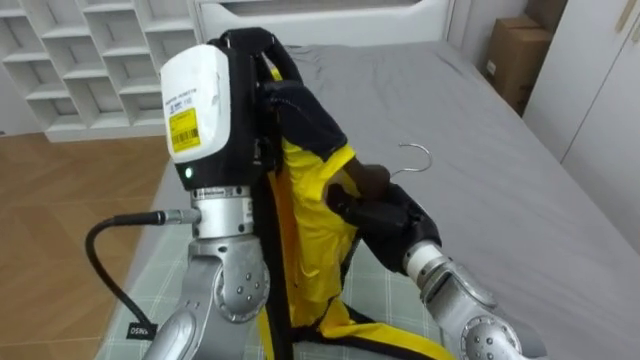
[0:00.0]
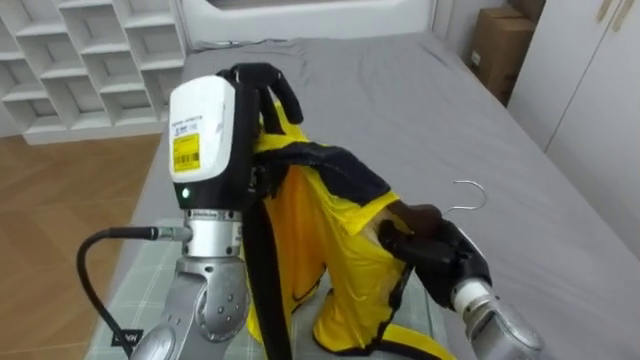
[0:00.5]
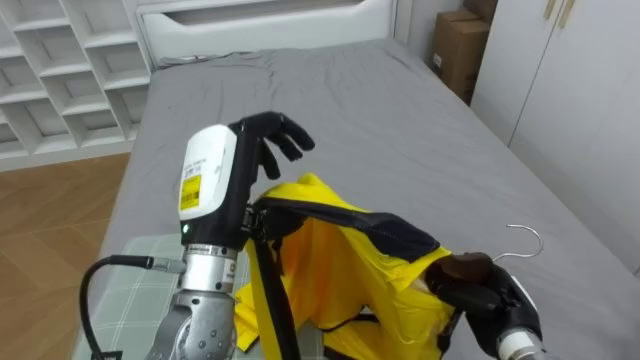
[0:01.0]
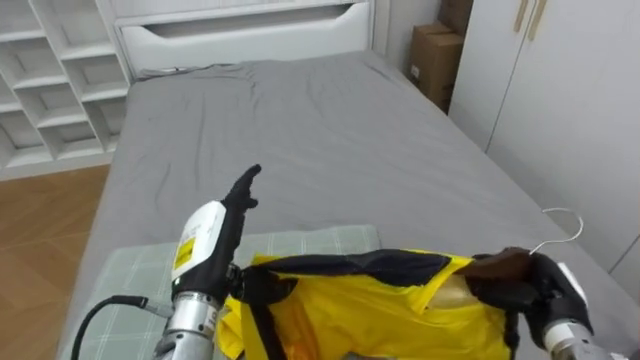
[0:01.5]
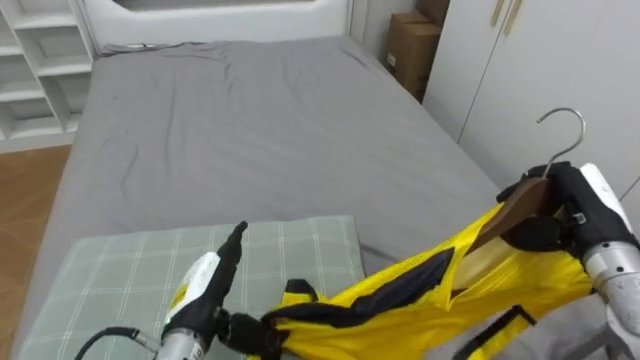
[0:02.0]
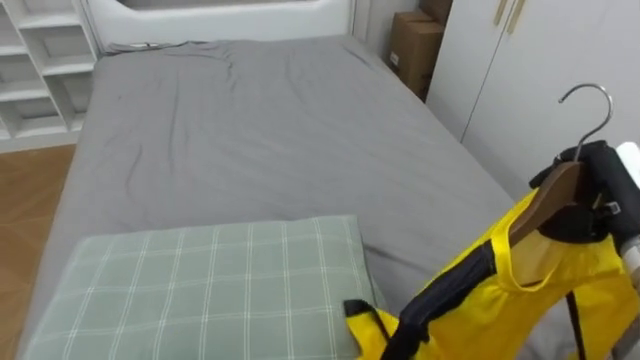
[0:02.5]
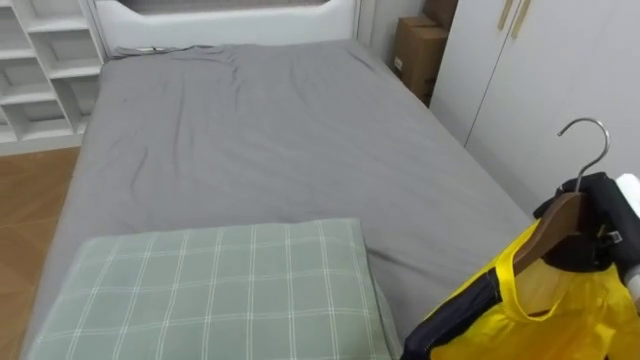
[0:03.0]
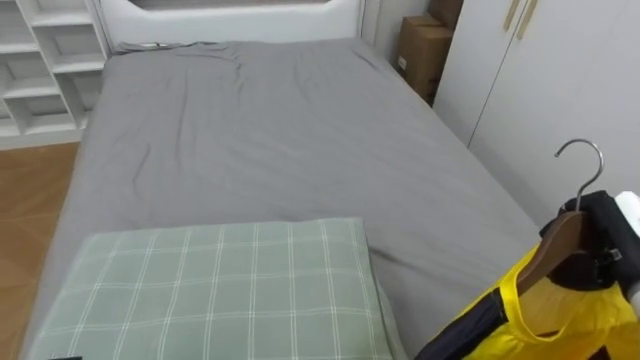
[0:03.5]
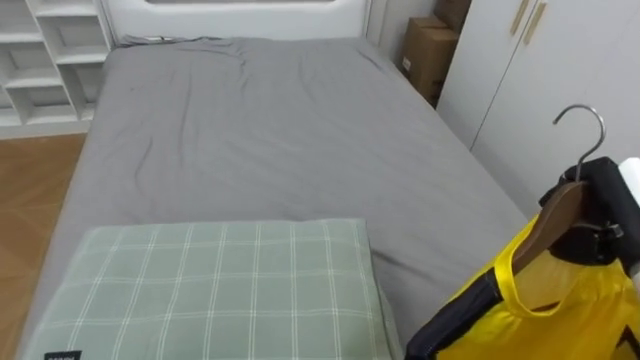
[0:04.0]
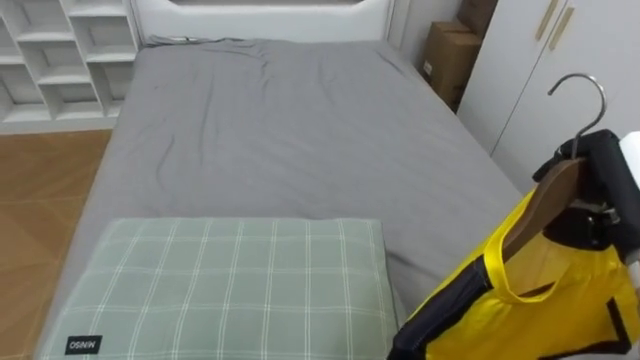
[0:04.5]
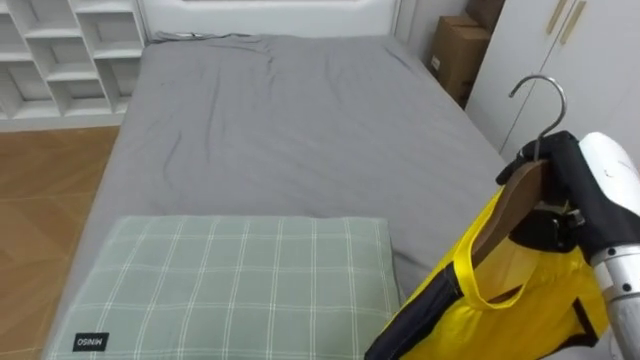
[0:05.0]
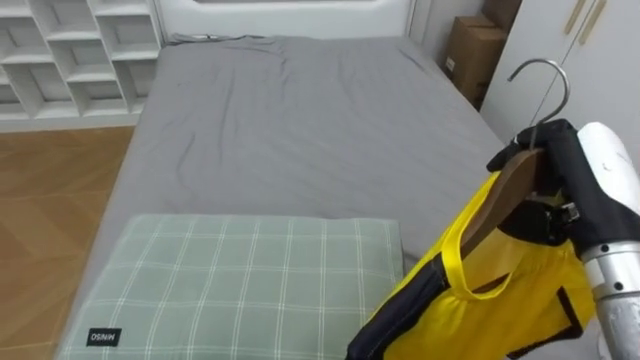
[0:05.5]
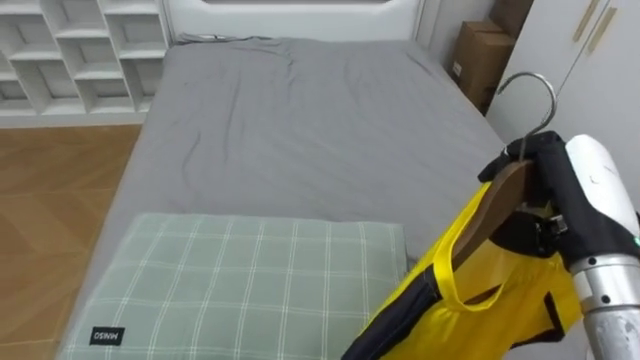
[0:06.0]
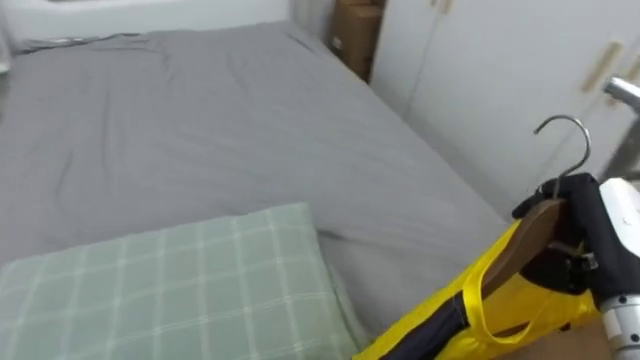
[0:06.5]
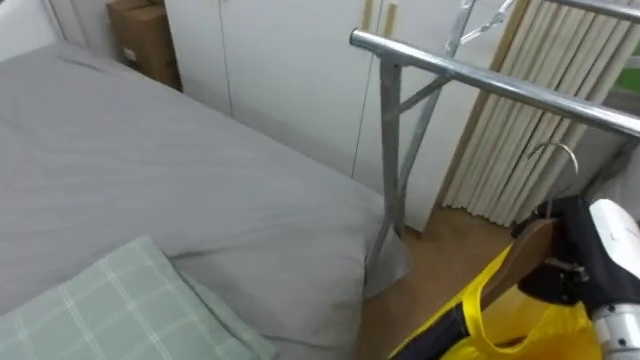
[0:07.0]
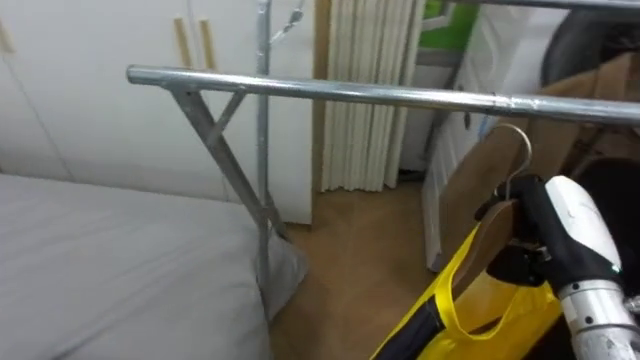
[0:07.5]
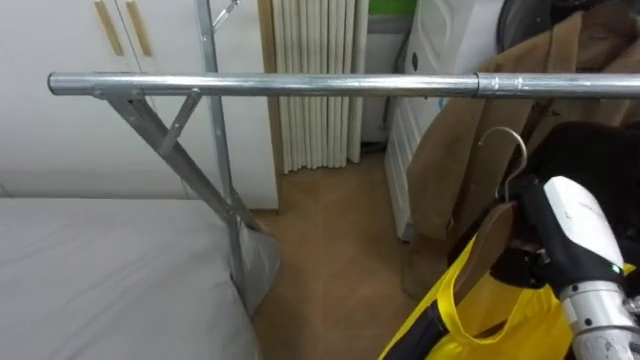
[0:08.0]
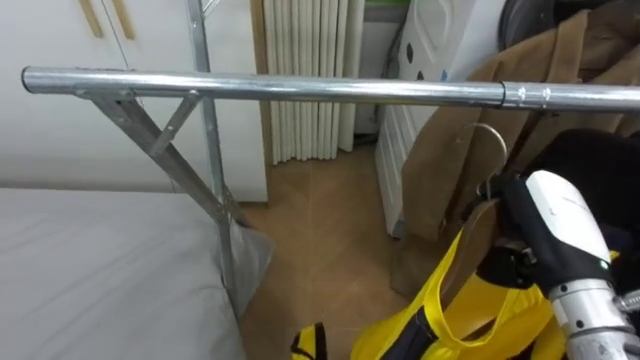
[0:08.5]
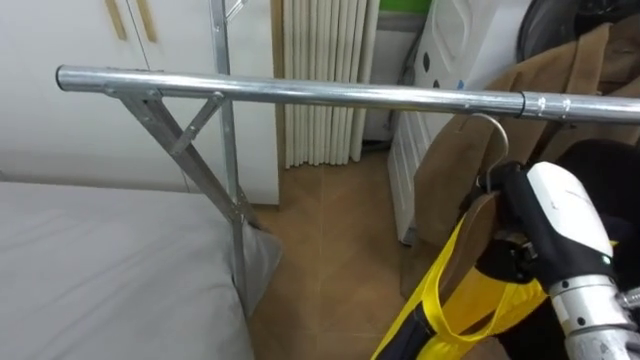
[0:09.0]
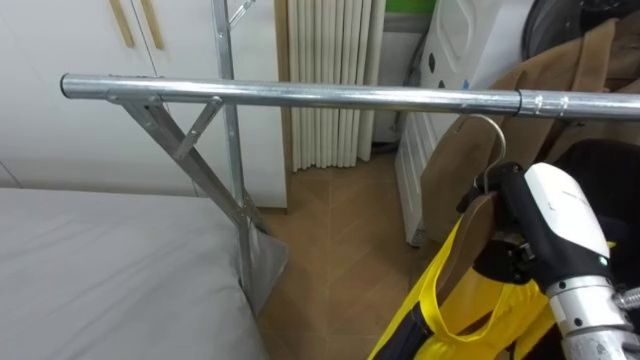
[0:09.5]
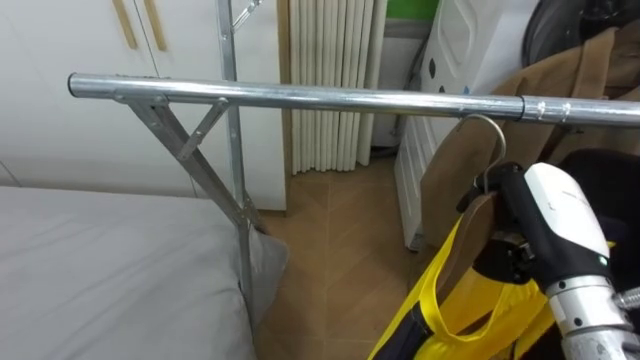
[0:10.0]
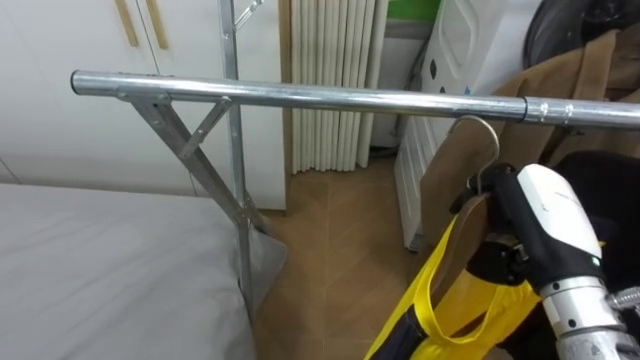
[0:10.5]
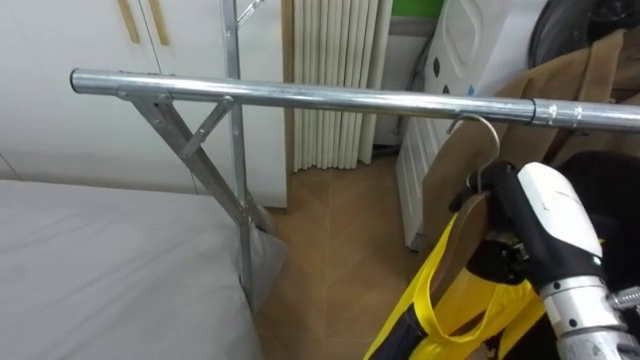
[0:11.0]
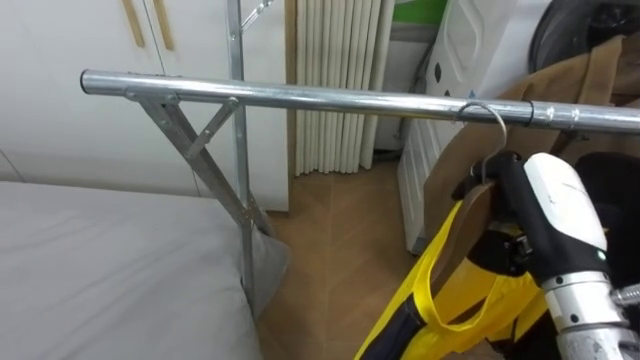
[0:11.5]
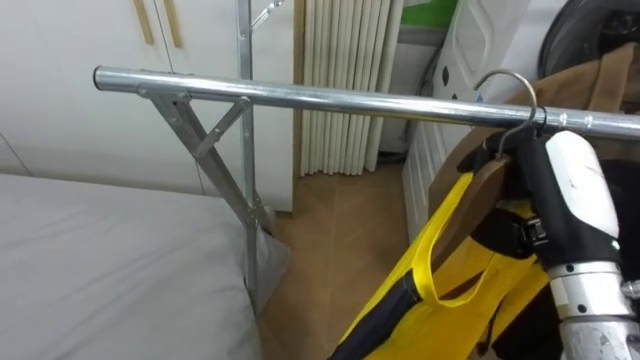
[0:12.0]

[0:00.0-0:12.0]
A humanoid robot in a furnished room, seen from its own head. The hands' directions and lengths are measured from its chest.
Task of the whole recording: Pick up the yellow shirt on the bed and hang it on the clothes rack on the right.
0:00.0 to 0:02.0: The right hand shifts roughly 20 cm to the right, while the left hand goes roughly 25 cm downward, and opens up.
0:02.0 to 0:04.0: The right hand ends up some 5 cm from where it was.
0:04.0 to 0:06.0: The right hand shifts approximately 10 cm to the left.
0:06.0 to 0:08.0: The robot rotates about 80 degrees to its right. The right hand is displaced downward by about 5 cm.

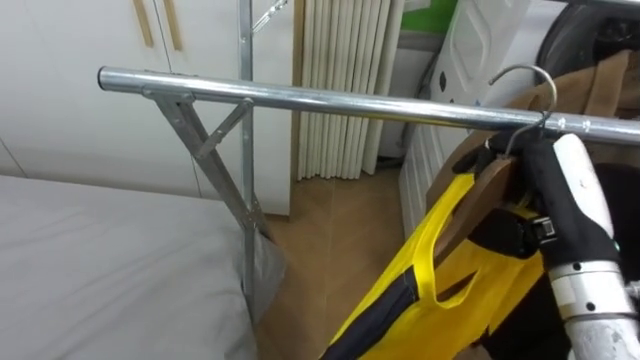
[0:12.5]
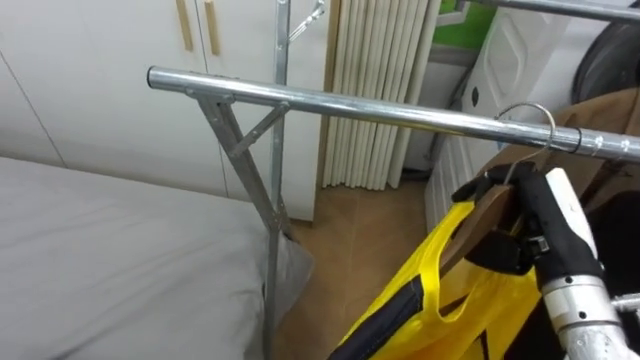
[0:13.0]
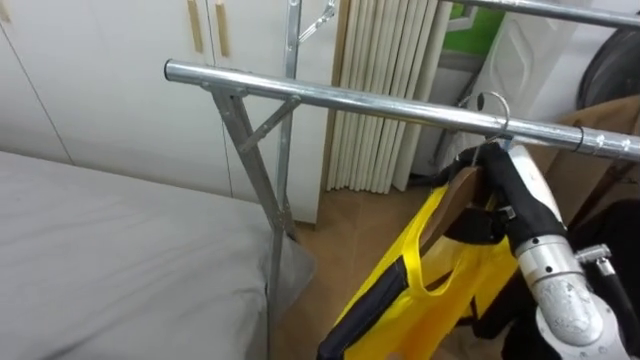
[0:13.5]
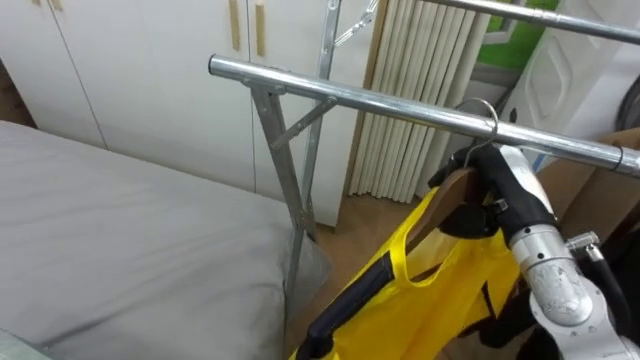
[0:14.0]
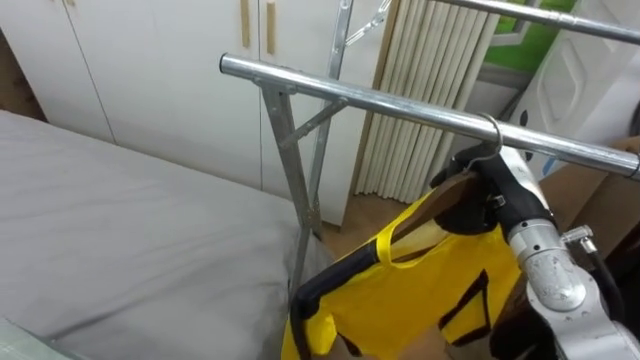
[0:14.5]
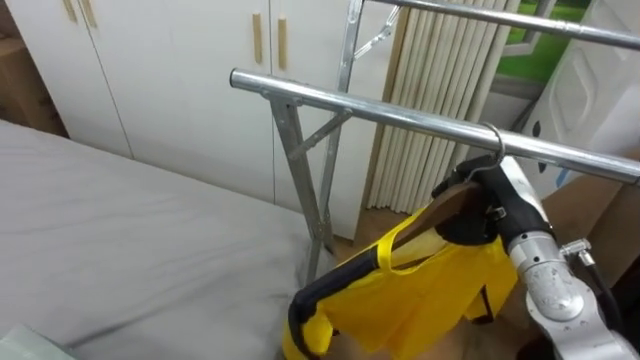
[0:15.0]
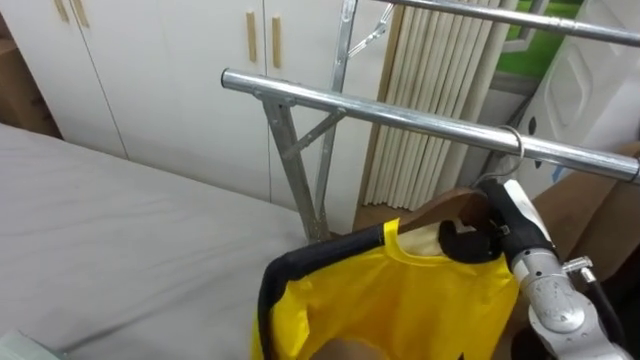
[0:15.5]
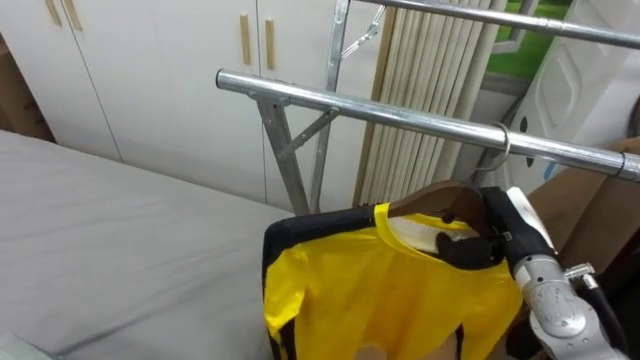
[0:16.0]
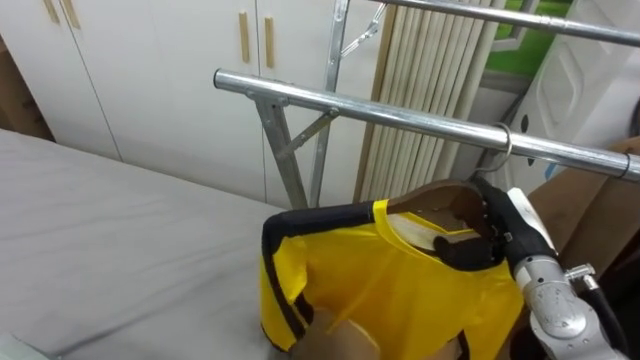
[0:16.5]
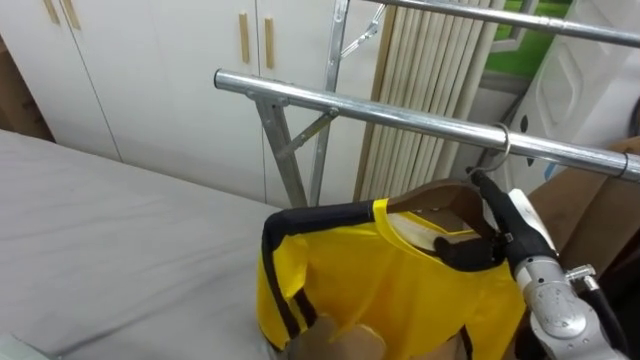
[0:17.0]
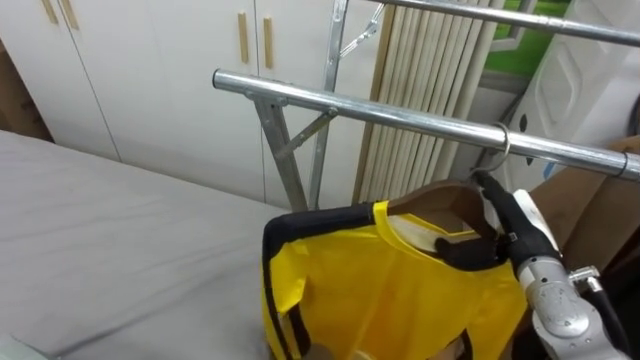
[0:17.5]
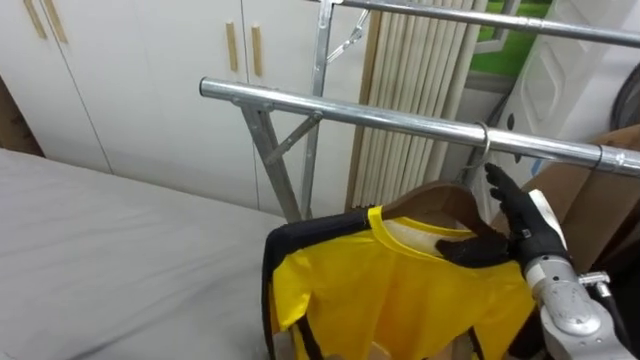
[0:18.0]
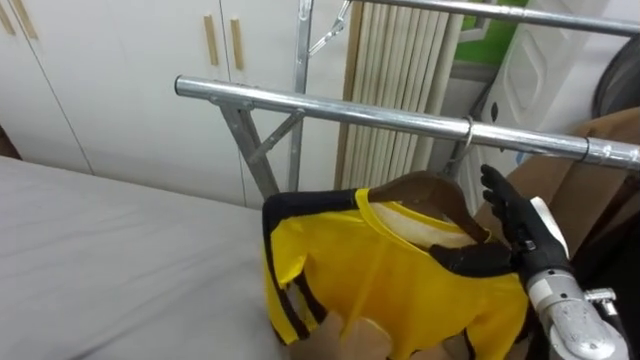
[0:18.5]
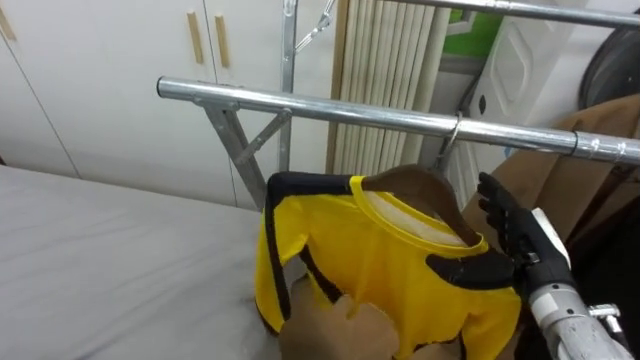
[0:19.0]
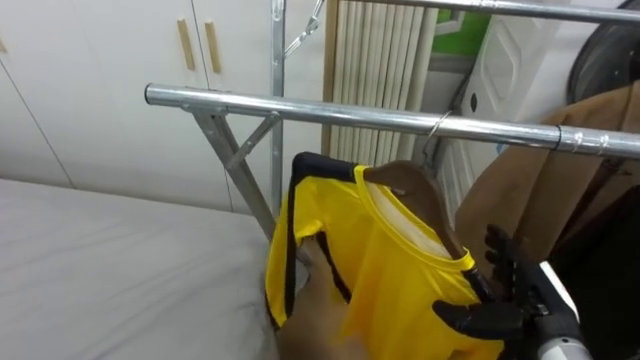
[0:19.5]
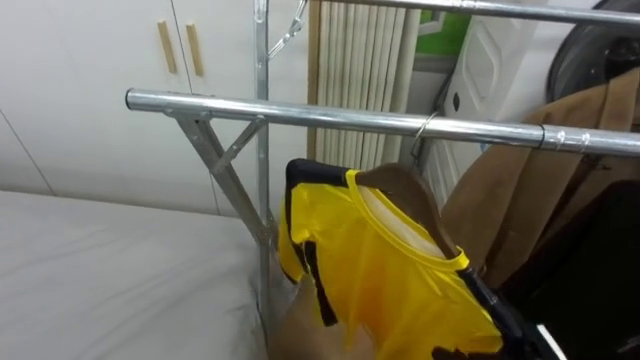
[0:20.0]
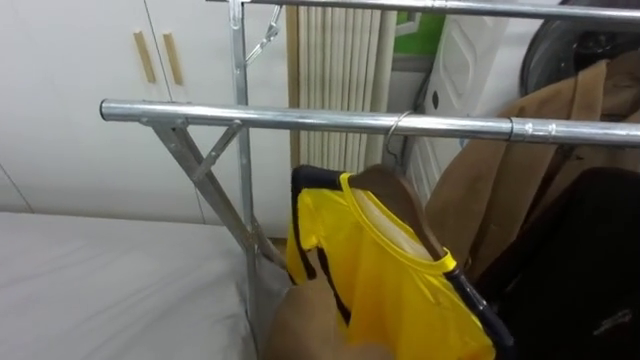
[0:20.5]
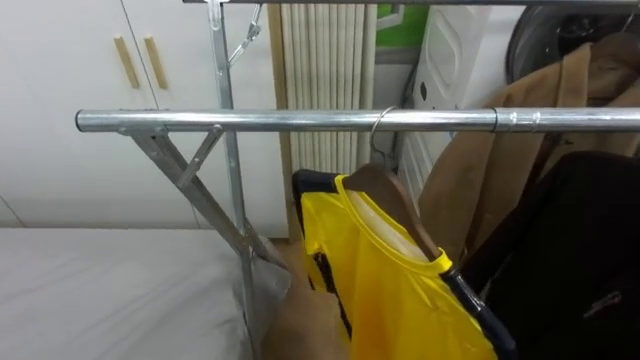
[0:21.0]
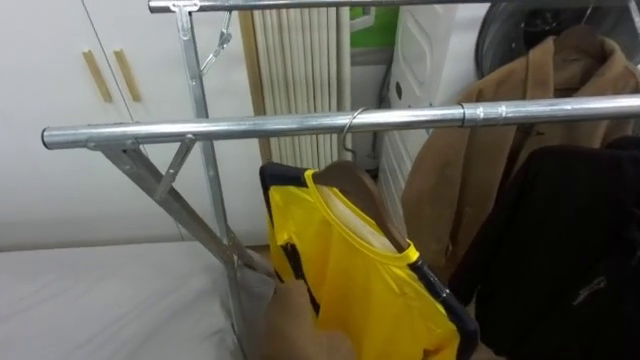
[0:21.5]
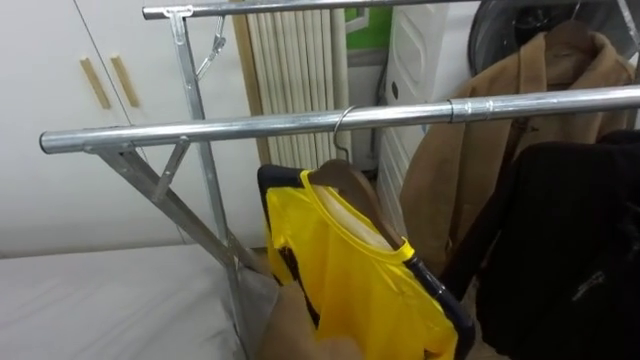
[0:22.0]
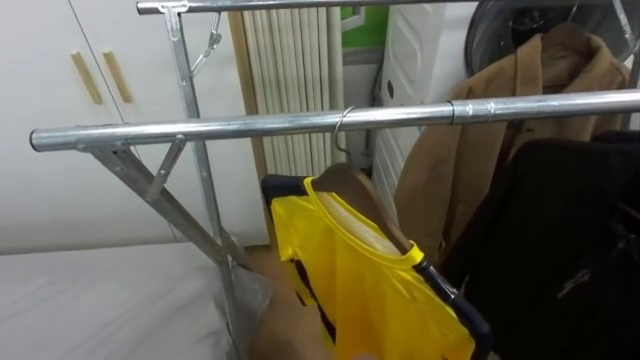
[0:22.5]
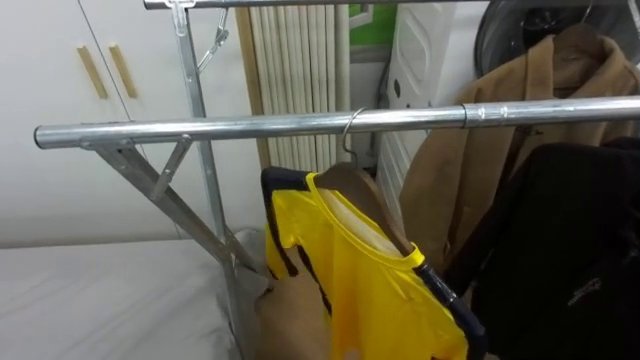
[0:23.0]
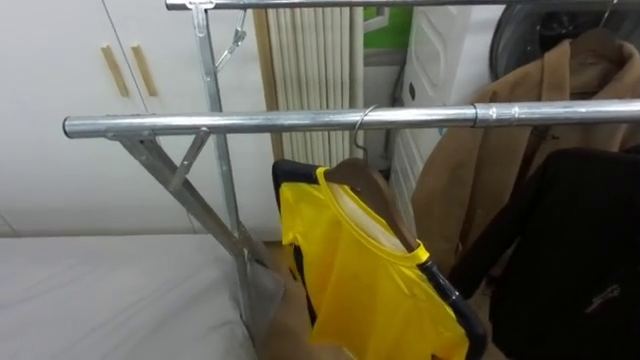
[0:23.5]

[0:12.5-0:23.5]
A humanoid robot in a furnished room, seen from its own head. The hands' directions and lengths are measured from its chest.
Task of the whole recording: Pick up the yellow shirt on the bed and hang it on the clothes rack on the right.
0:12.5 to 0:14.5: The right hand moves forward and downward, approximately 10 cm.
0:14.5 to 0:16.0: The right hand goes roughly 5 cm downward.
0:16.0 to 0:18.0: The right hand opens its fingers.
